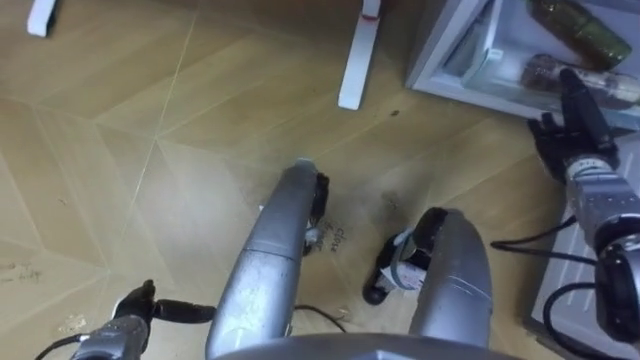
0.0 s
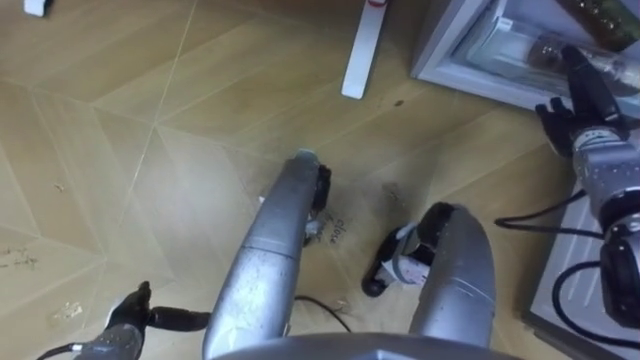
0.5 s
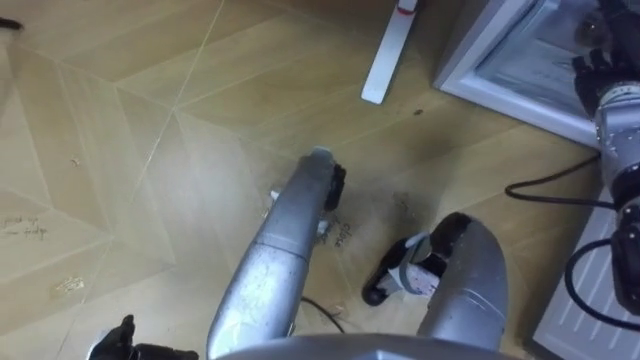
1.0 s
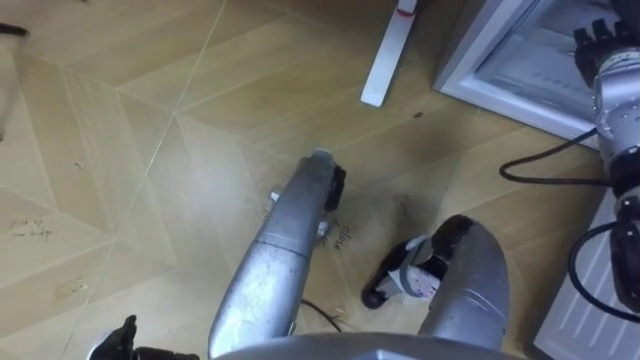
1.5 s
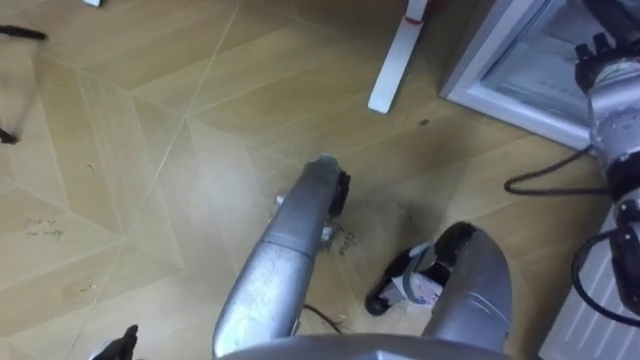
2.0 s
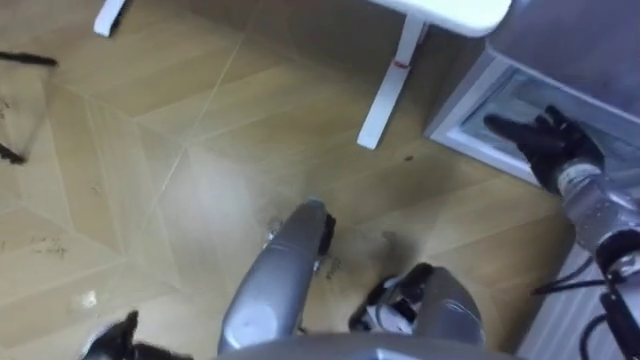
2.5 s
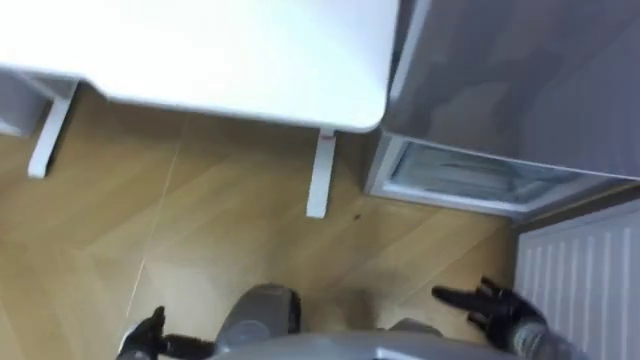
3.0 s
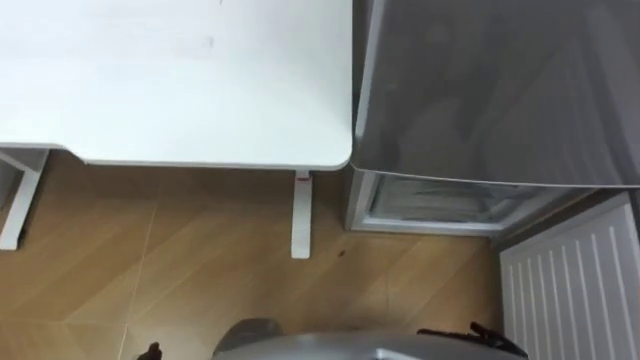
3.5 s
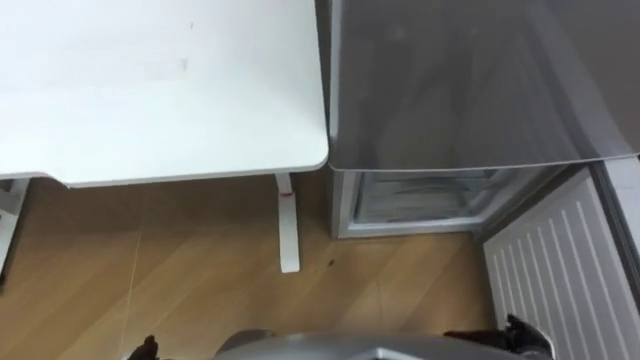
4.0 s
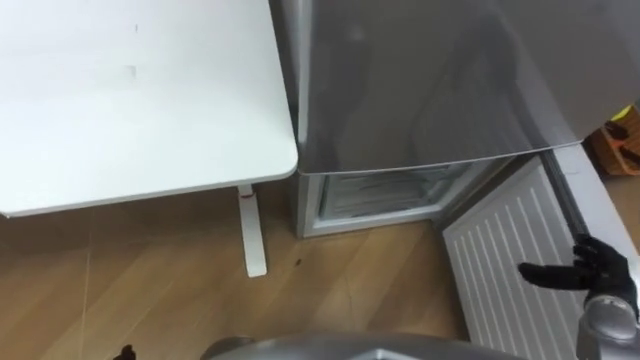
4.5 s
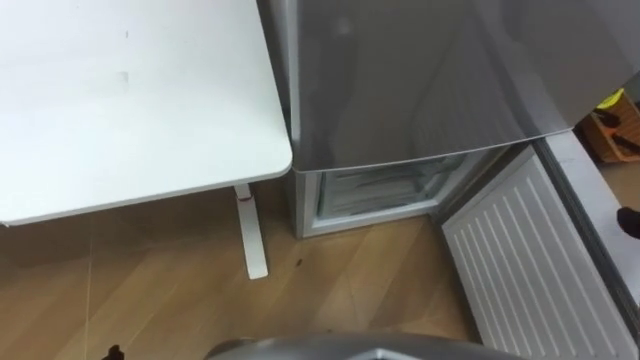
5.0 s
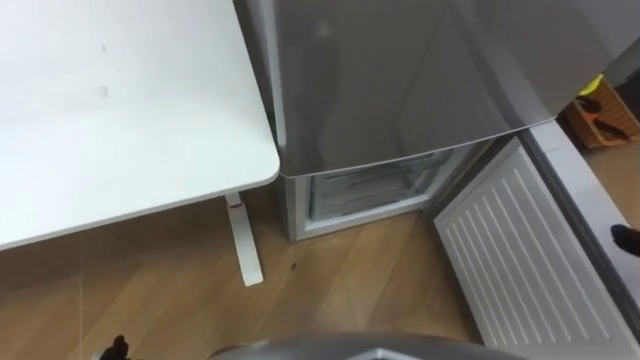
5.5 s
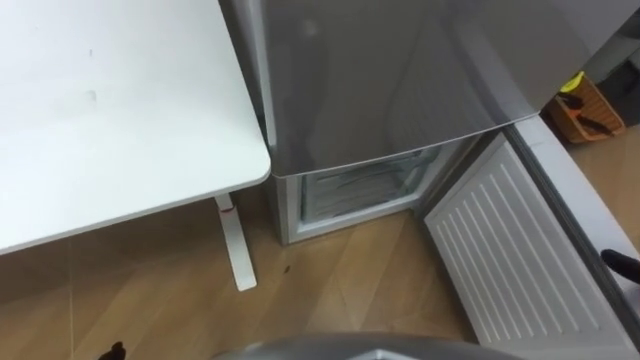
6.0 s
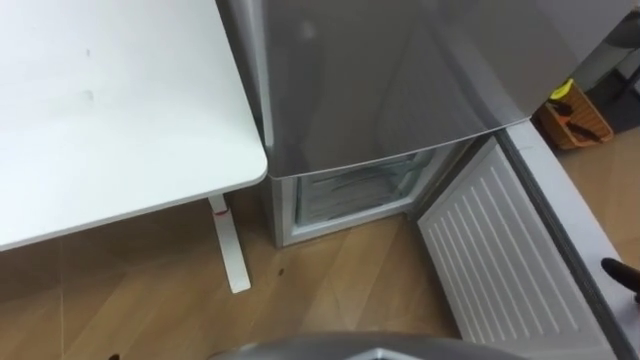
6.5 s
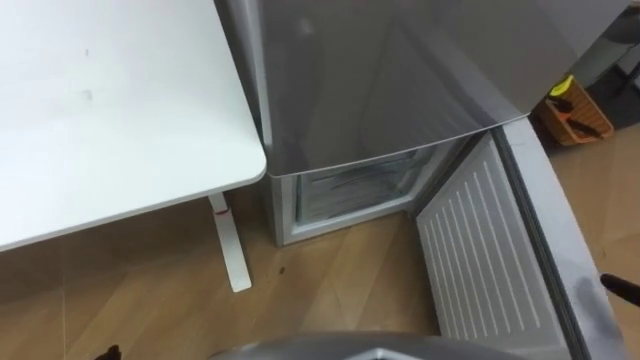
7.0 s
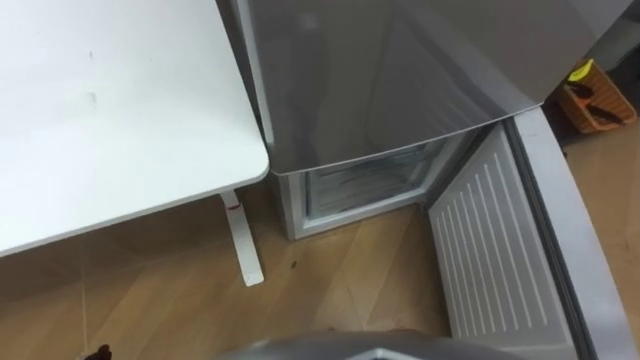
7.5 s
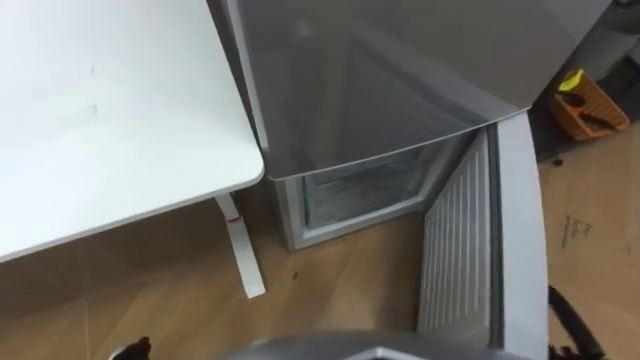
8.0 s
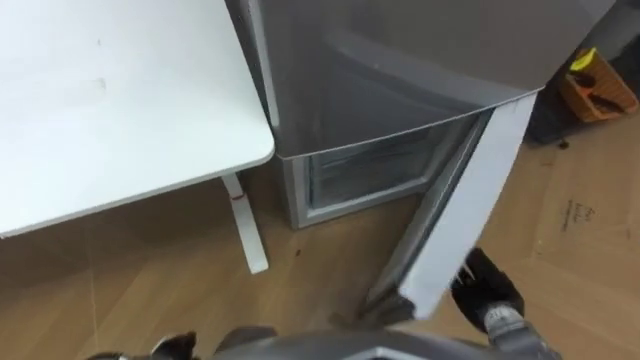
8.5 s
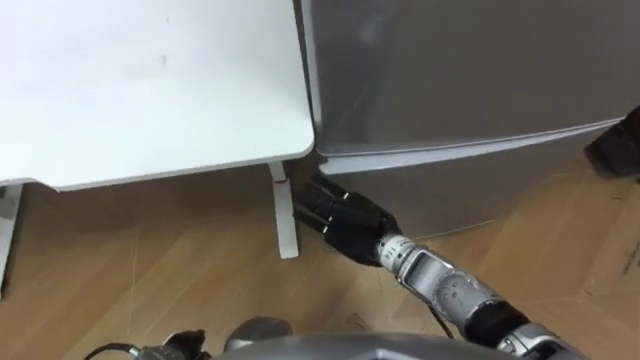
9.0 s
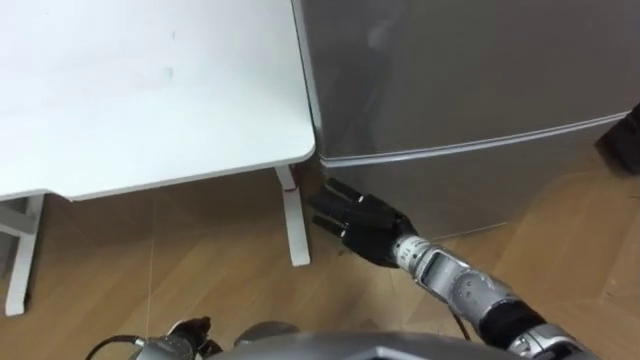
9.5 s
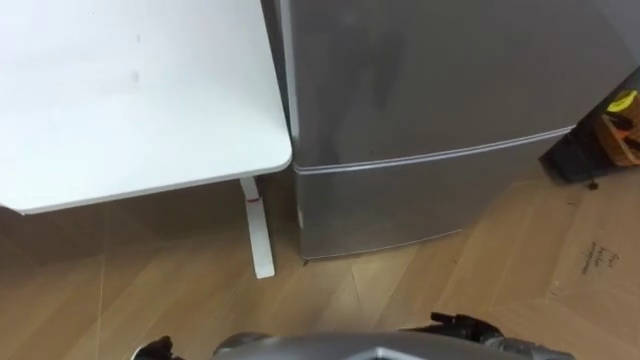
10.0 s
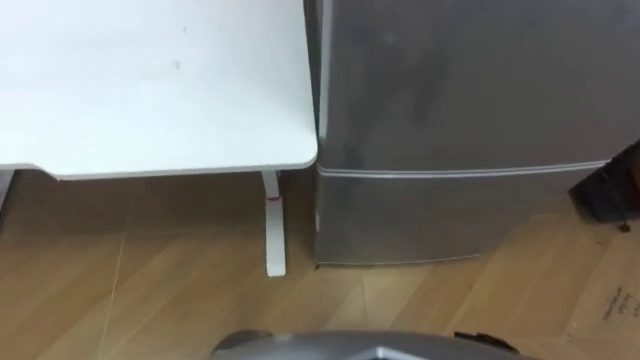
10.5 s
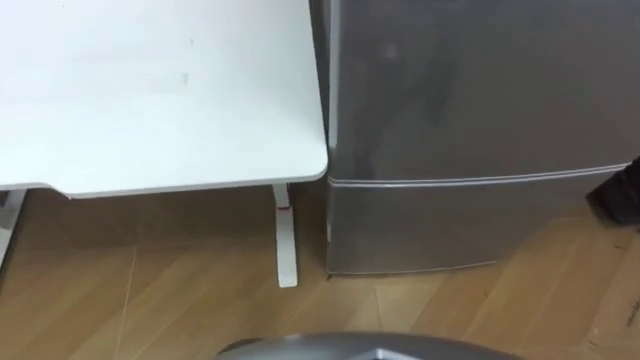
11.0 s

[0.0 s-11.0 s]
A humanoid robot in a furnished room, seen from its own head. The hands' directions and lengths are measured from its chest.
Task of the whole recording: Place the drink on the table on the bottom shelf of the refrigerator, then close the drawer and the refrigerator door.
0.0 to 2.0 s: The right hand travels upward and forward by about 15 cm.

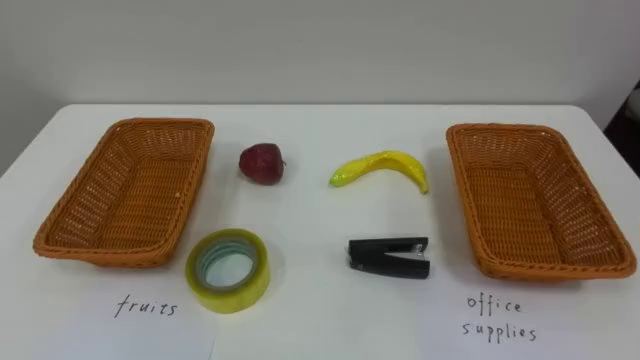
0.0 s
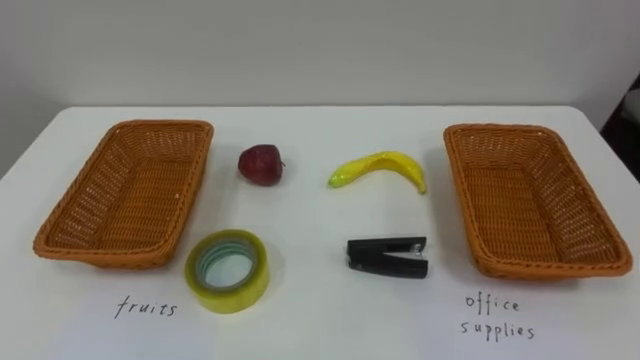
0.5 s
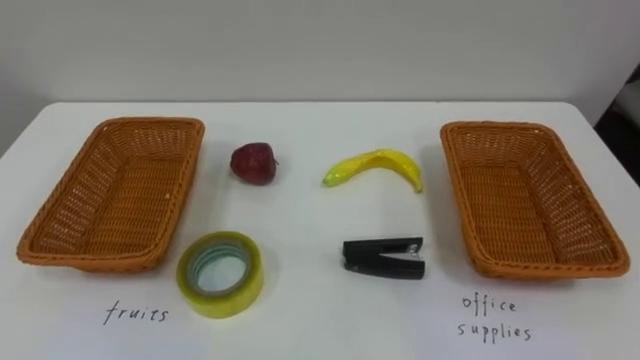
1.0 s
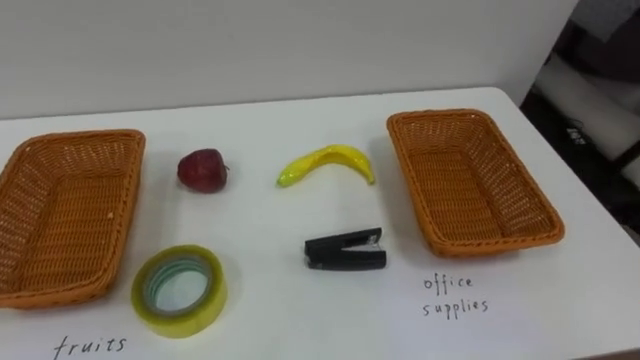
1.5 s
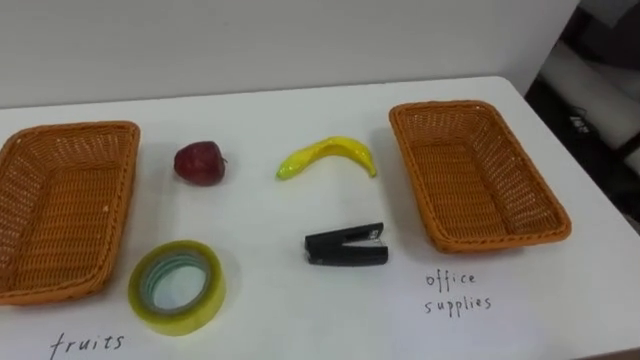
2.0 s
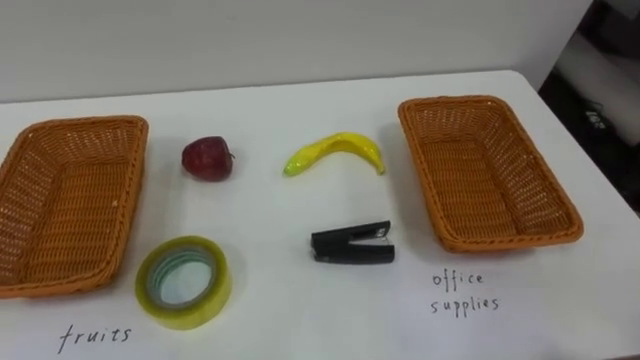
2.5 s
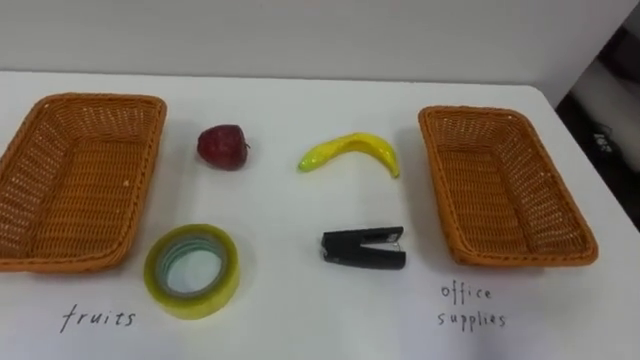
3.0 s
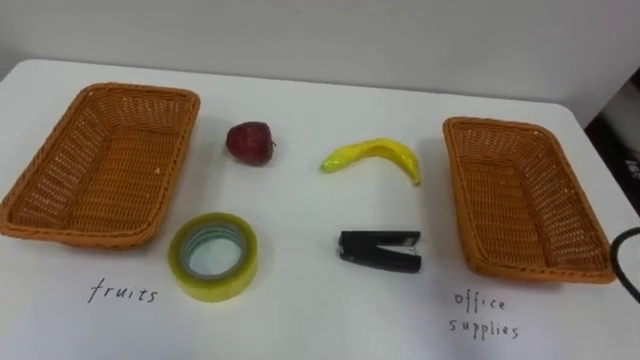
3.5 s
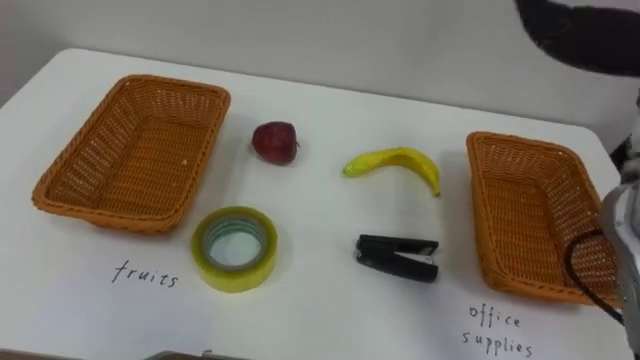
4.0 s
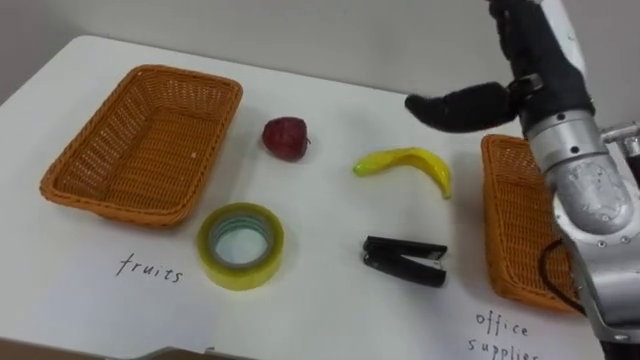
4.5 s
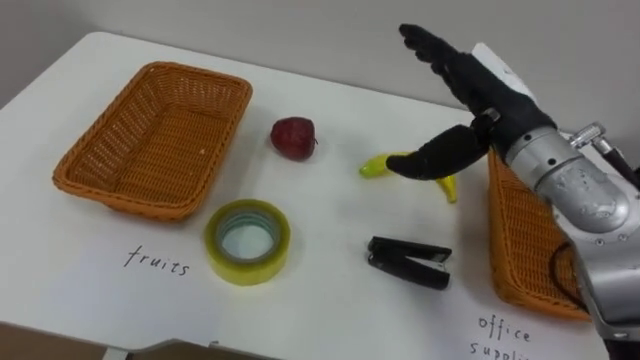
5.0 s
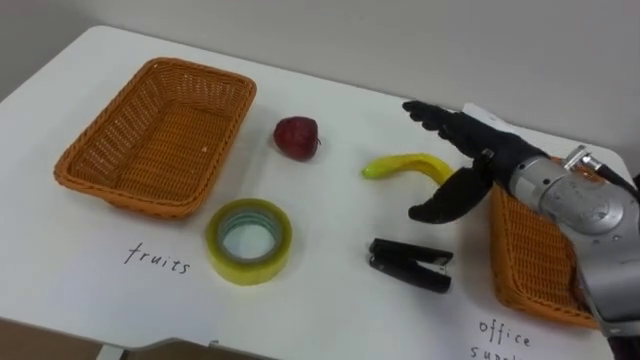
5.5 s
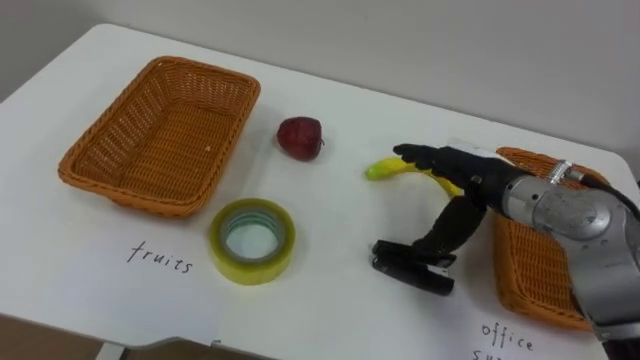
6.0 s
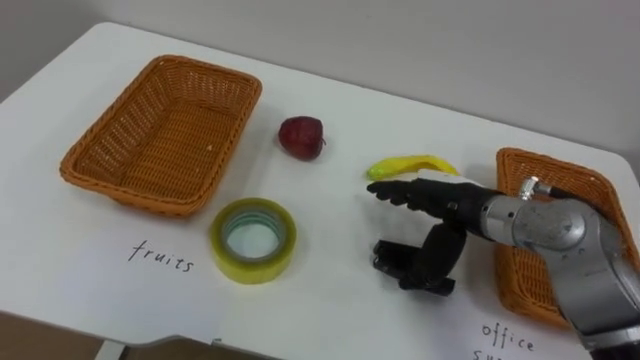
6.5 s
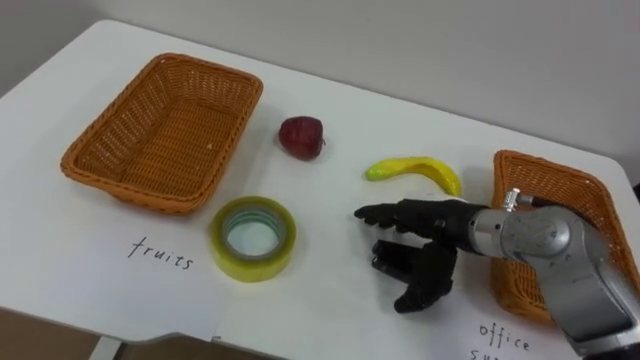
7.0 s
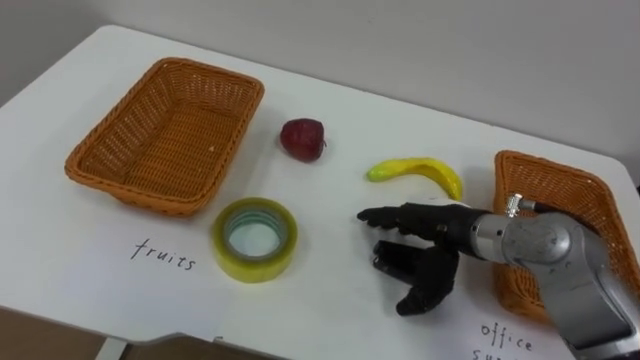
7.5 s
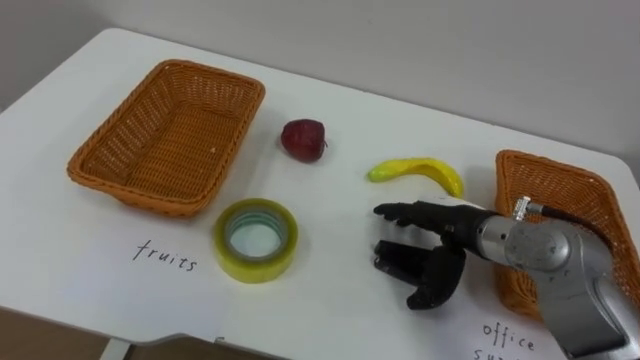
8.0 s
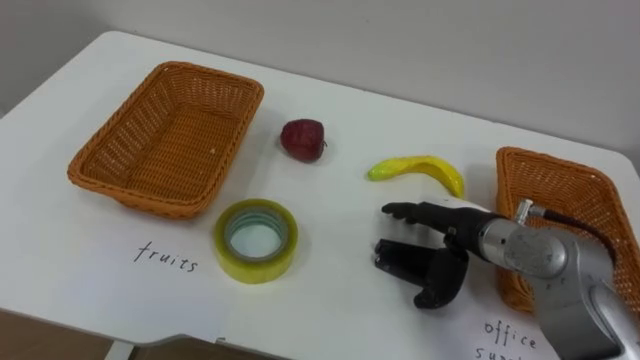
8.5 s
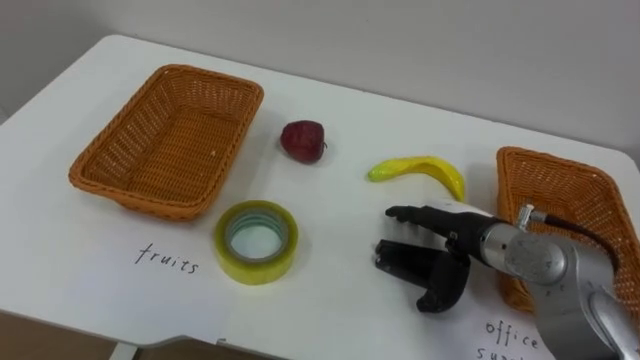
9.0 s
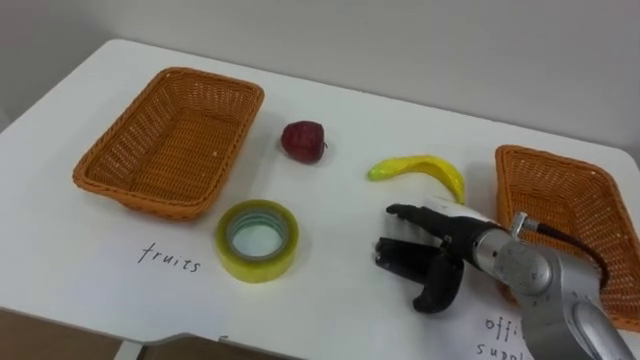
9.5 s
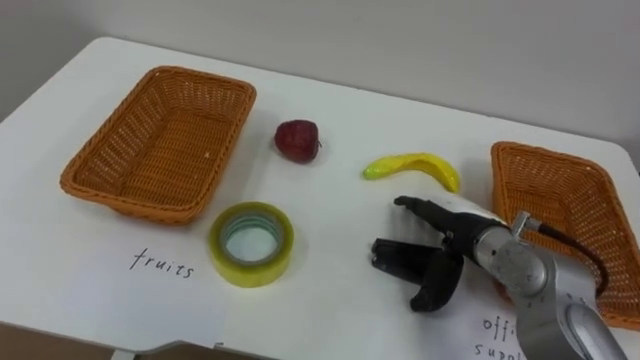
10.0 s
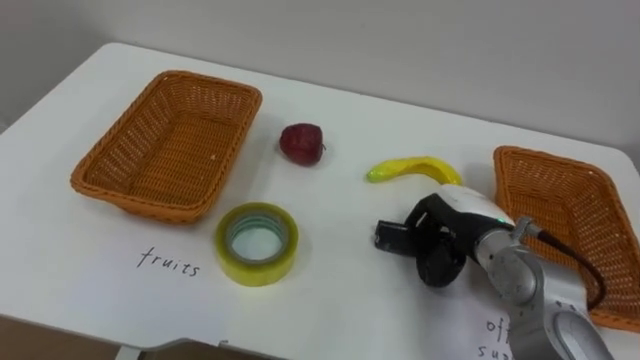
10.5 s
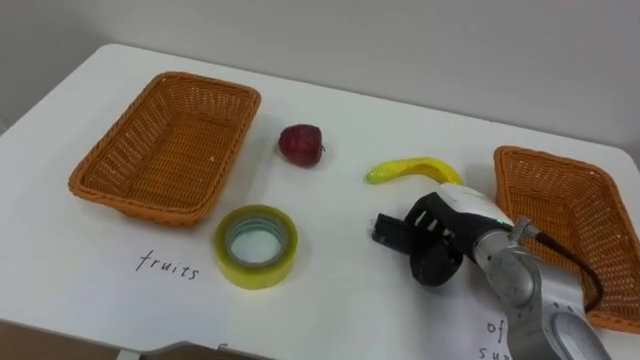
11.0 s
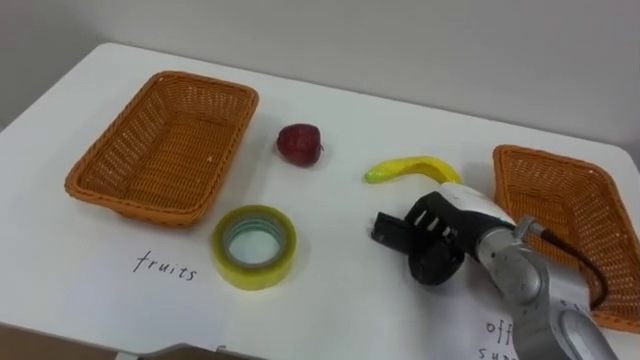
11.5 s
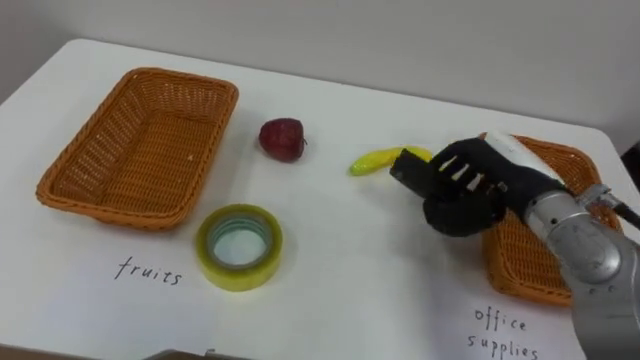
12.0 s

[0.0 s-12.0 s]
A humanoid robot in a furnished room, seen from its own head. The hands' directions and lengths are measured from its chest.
Task of the whole recording: Separate the items on the table and place them into the two baskets.
6.0 to 8.0 s: The right hand ends up some 5 cm from where it was.
10.0 to 12.0 s: The right hand moves upward, some 5 cm, and closes up.
